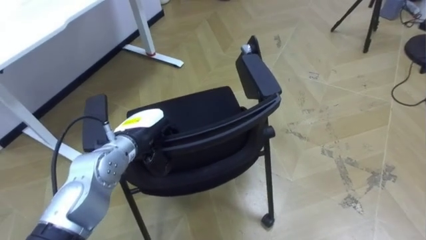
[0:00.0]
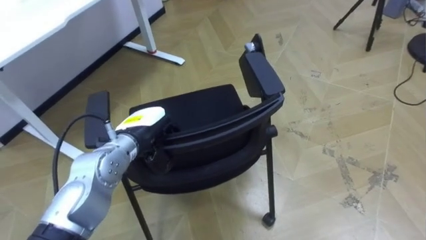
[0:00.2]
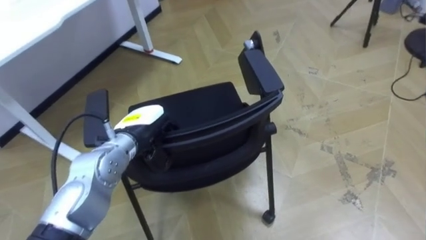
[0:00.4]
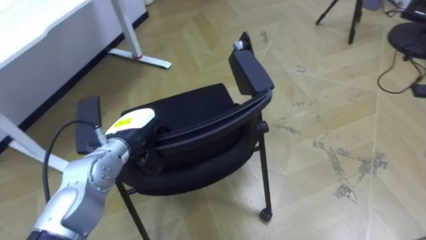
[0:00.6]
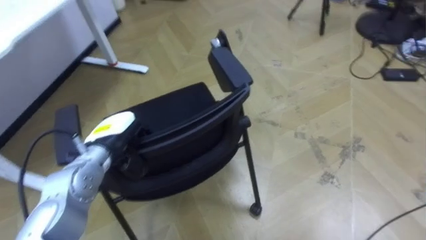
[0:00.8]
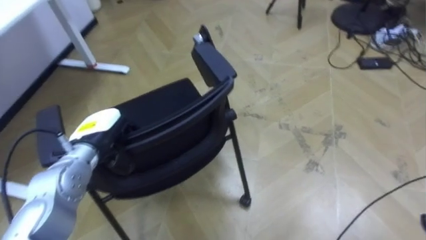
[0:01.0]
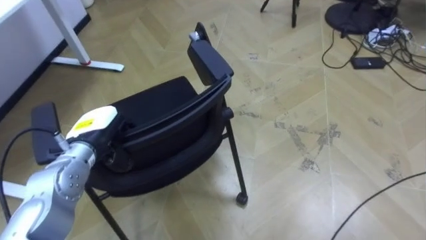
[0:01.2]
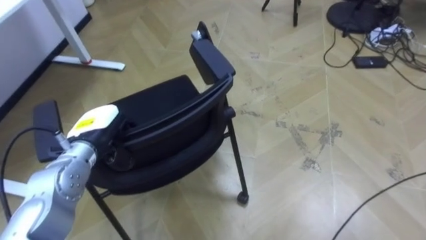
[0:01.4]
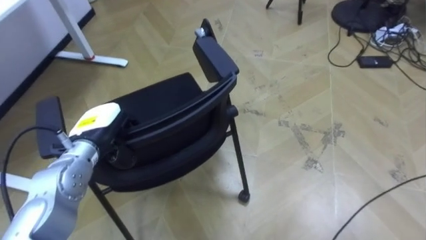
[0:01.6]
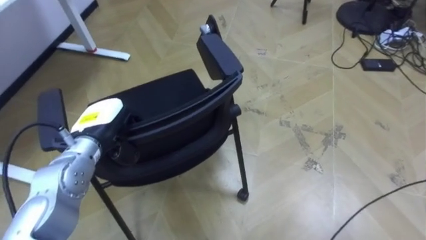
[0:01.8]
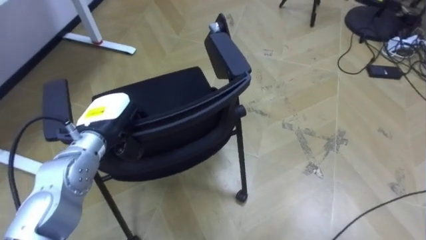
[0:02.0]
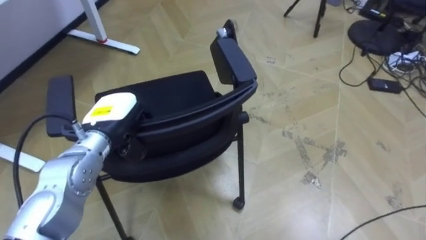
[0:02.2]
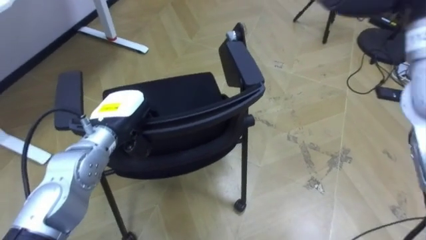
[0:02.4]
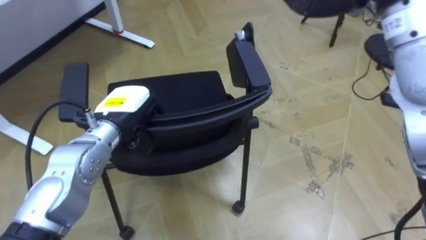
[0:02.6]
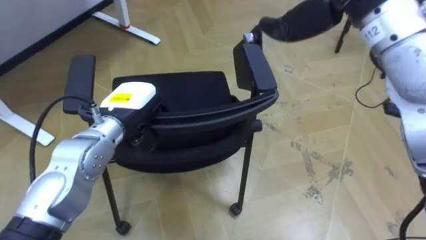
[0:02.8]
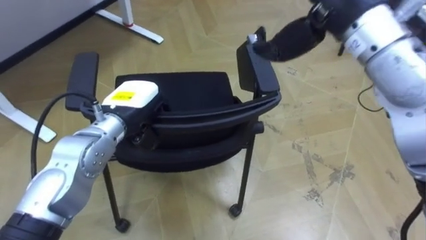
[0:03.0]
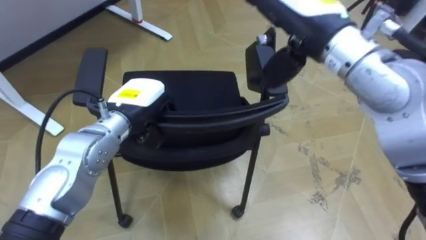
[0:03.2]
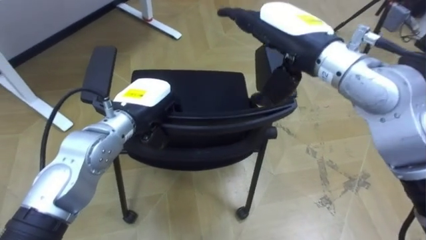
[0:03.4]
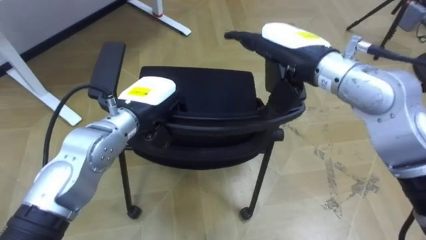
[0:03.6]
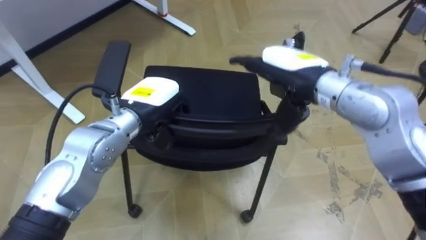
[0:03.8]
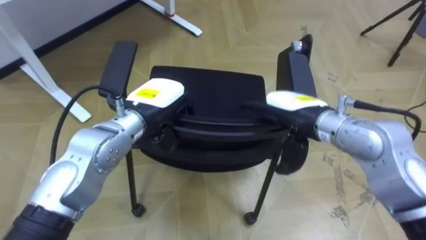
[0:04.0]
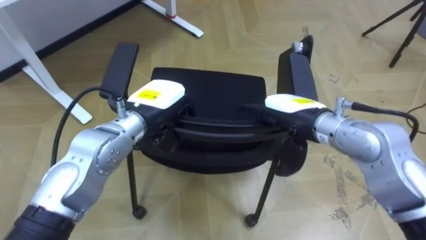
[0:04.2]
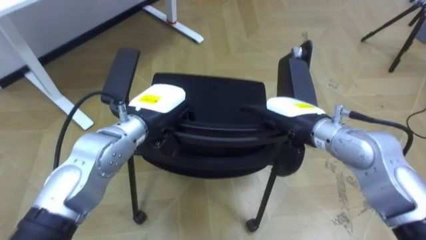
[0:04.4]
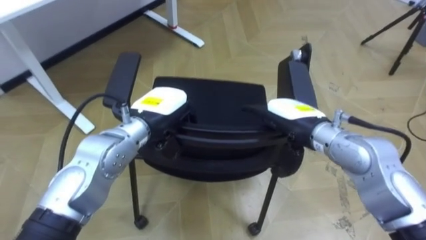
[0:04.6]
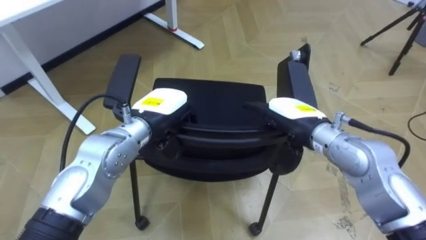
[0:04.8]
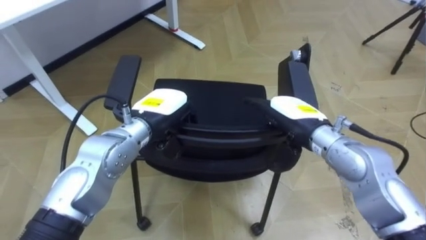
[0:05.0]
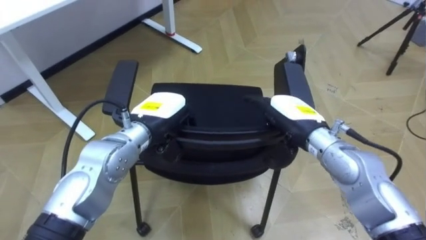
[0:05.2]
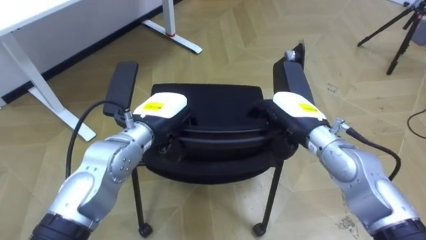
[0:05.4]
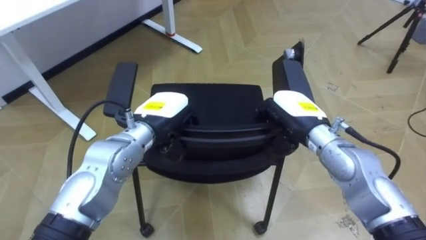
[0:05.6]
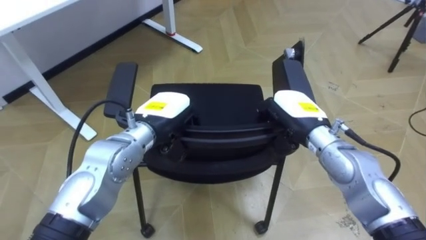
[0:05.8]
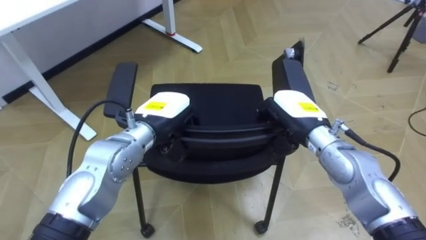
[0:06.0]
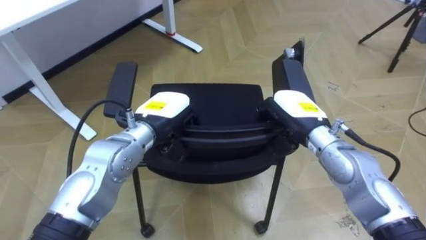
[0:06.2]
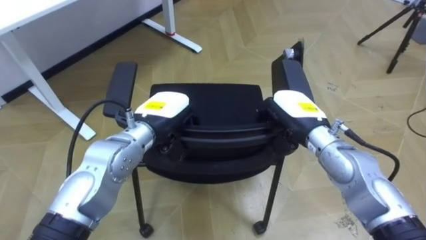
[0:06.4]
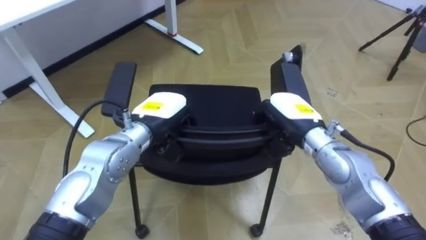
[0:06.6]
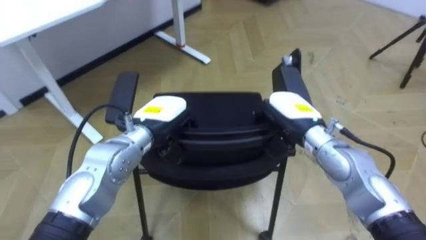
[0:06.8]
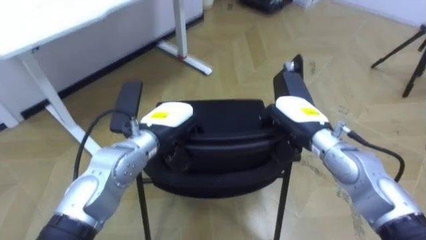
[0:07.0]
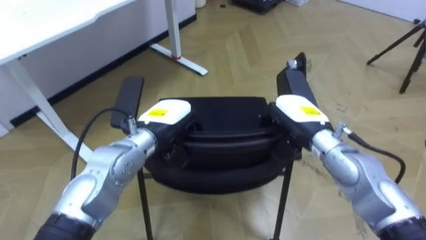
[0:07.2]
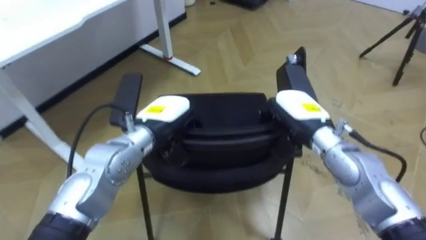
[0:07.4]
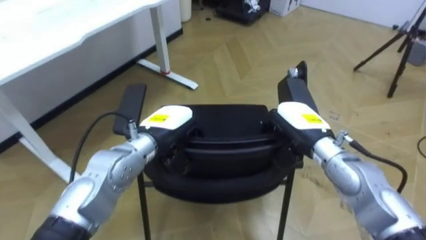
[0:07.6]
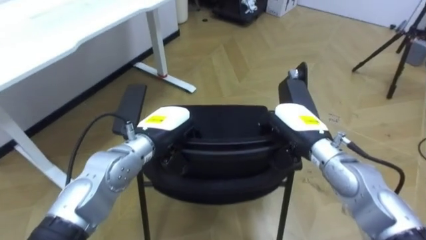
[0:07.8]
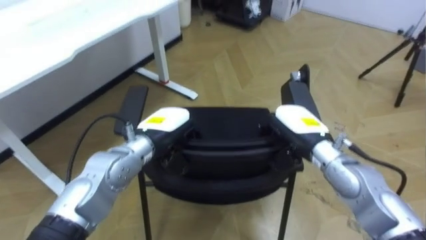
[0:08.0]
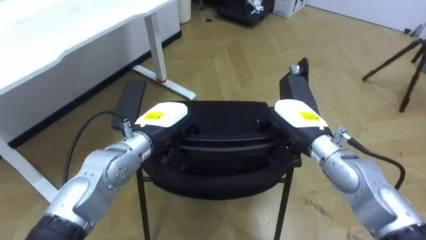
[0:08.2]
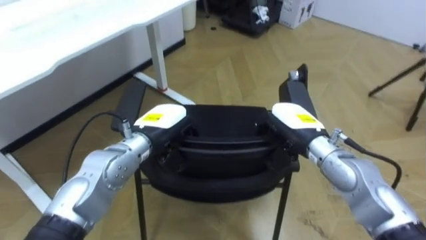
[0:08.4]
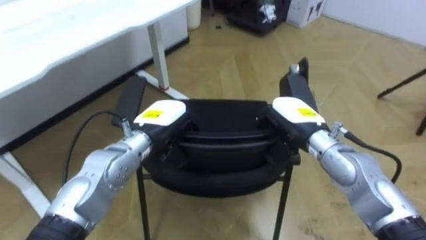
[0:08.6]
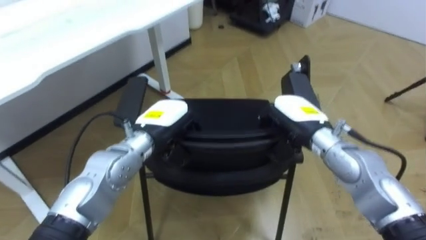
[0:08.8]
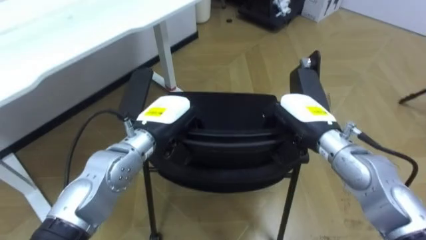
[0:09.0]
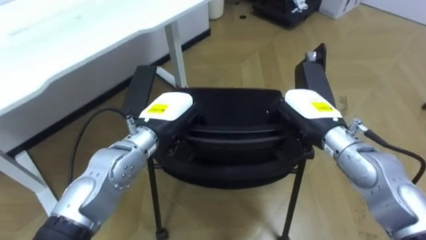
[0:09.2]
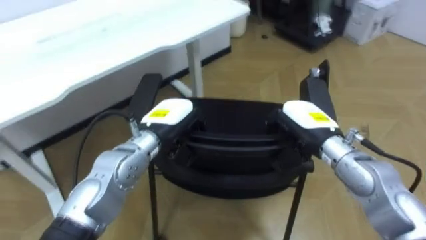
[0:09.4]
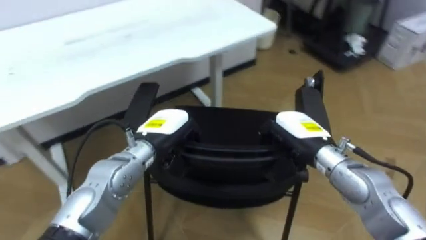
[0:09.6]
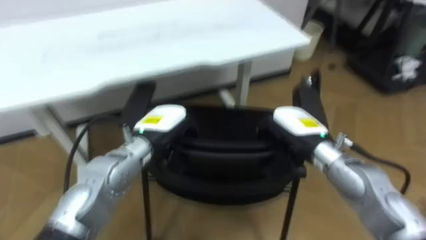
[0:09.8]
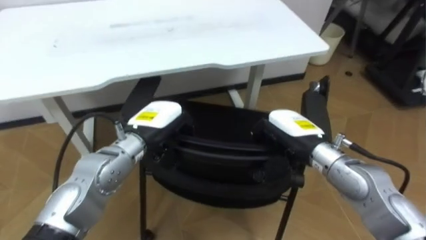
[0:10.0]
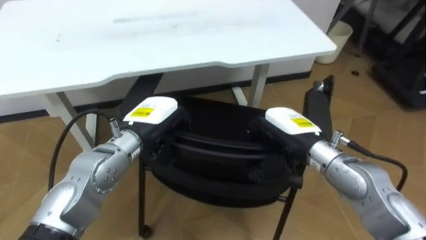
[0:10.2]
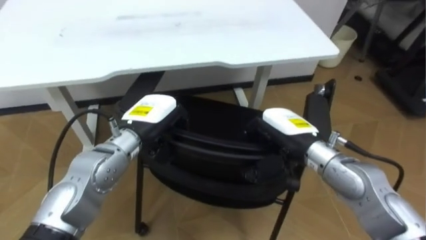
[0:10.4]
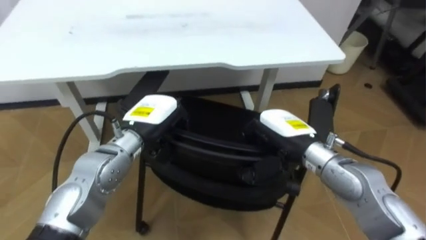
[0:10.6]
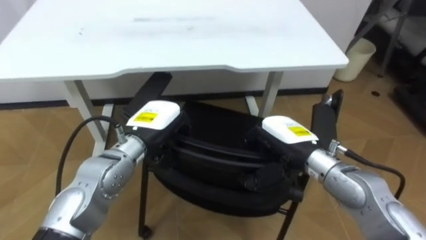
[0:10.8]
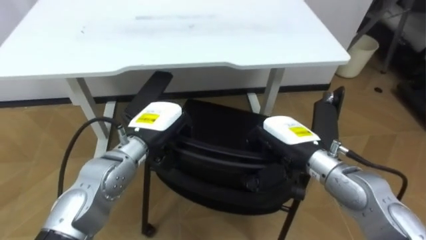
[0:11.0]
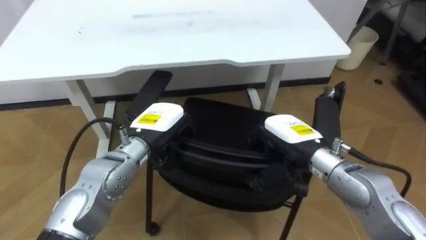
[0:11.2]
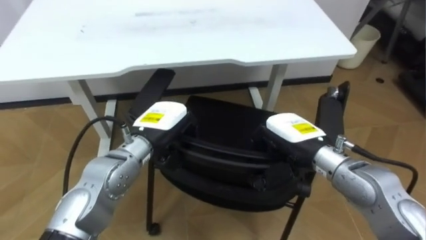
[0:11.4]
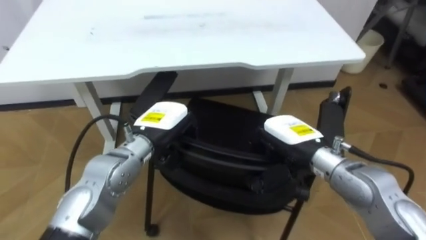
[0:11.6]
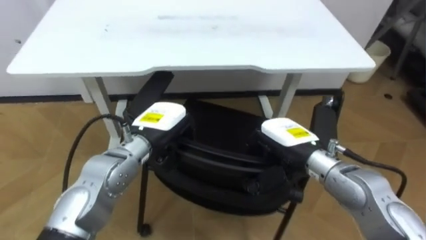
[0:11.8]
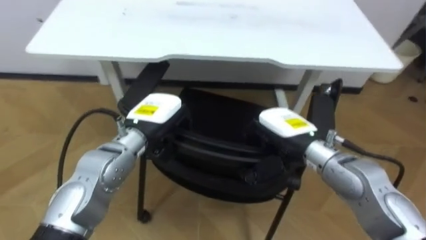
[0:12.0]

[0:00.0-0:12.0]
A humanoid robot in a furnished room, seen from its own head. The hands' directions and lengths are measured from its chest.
Task of the whole recording: Push the chair under the table.
0:00.0 to 0:01.6: The left hand heads to the left, covering about 5 cm.
0:01.6 to 0:03.0: The left hand shifts roughly 5 cm to the right.
0:04.4 to 0:06.0: The right hand closes.
0:09.0 to 0:10.4: The robot faces about 35 degrees further to its left.

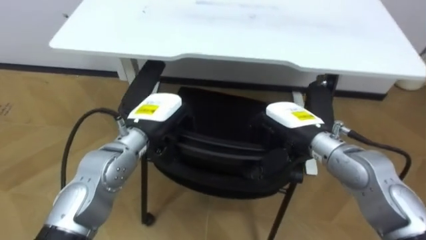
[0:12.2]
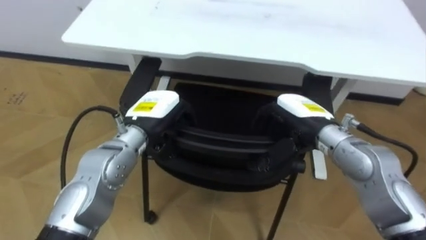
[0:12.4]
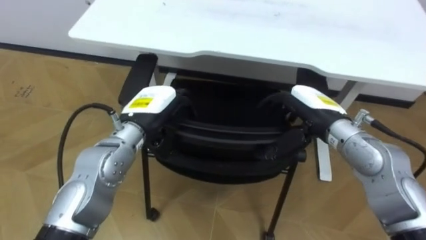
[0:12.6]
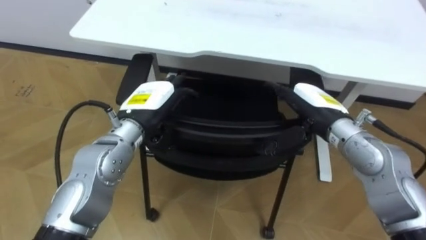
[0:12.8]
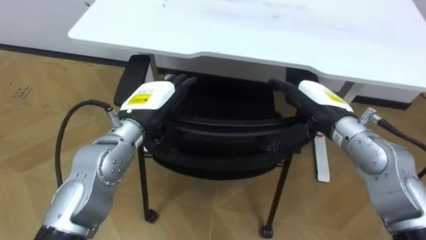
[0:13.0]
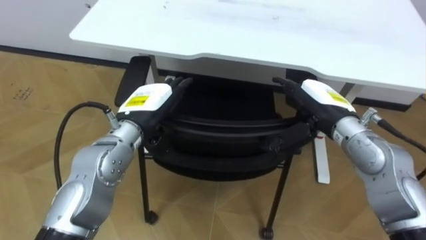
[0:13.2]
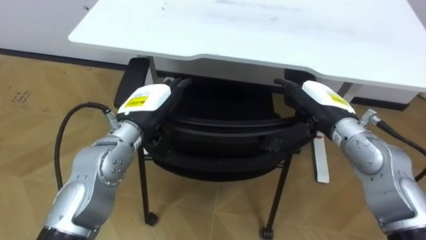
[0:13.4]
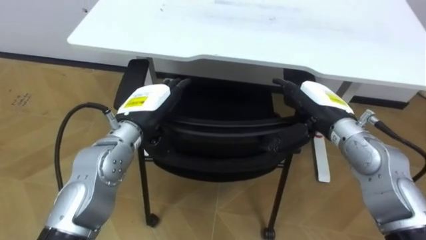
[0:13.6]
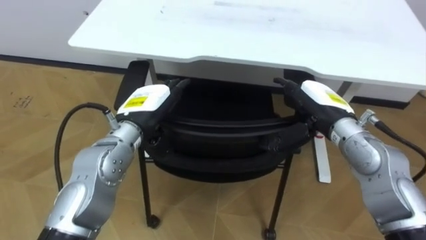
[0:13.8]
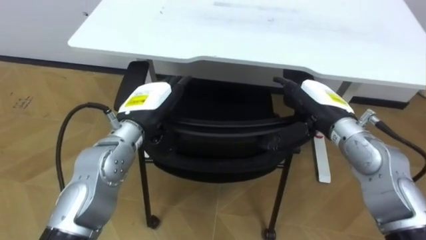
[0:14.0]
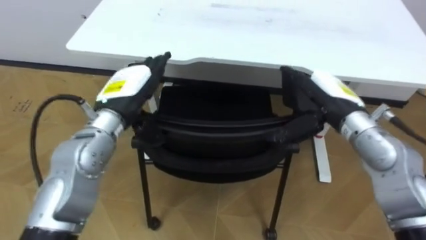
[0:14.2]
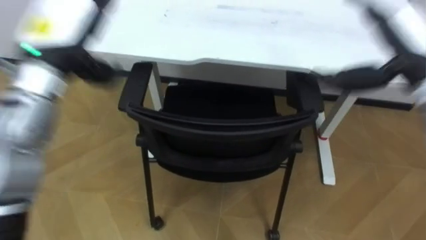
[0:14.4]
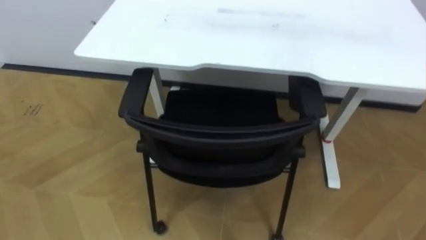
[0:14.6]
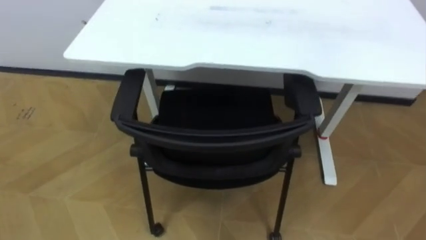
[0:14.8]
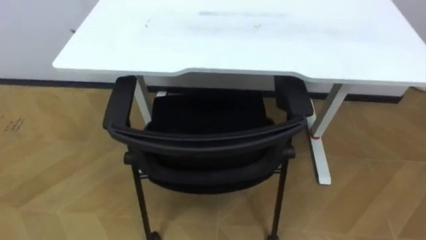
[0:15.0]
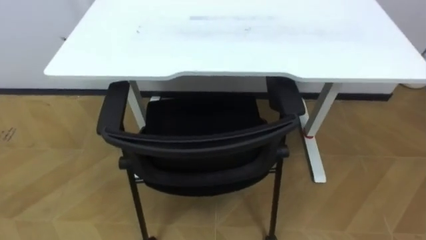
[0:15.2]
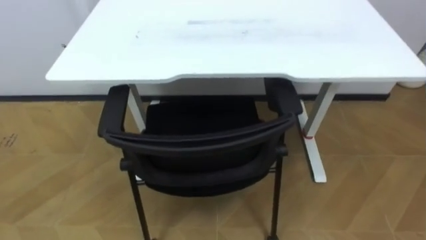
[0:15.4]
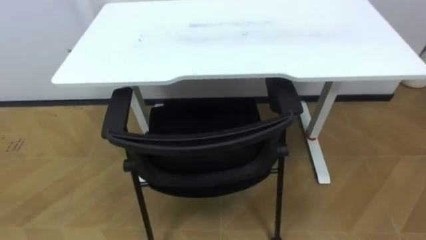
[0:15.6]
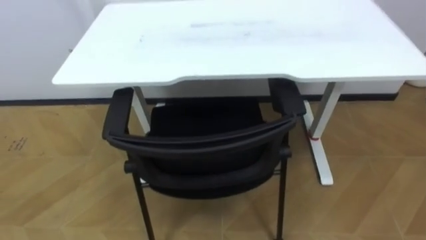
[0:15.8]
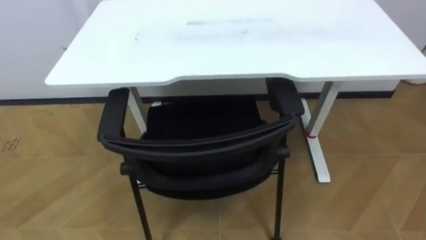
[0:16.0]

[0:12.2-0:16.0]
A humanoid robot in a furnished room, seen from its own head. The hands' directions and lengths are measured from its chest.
Task of the whole recording: Push the chair under the table.
0:12.2 to 0:13.4: The right hand travels to the right by some 5 cm, and opens up. The left hand opens its fingers.

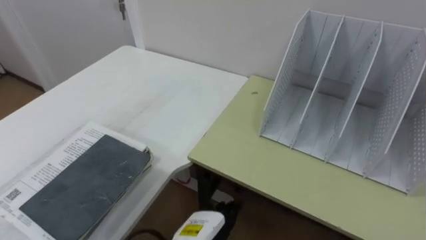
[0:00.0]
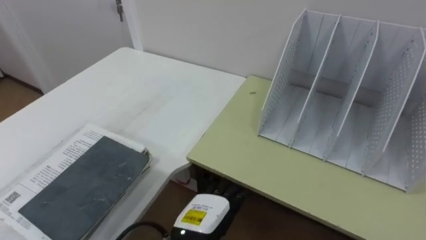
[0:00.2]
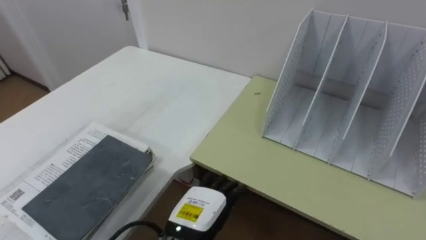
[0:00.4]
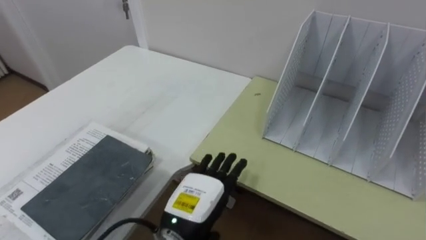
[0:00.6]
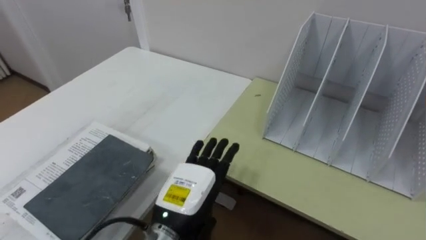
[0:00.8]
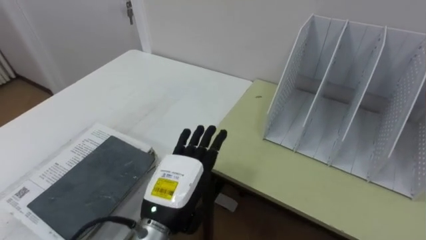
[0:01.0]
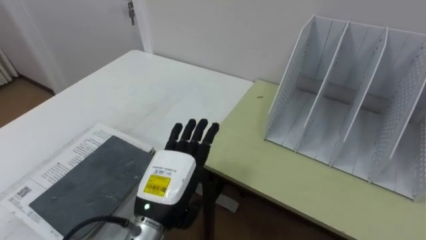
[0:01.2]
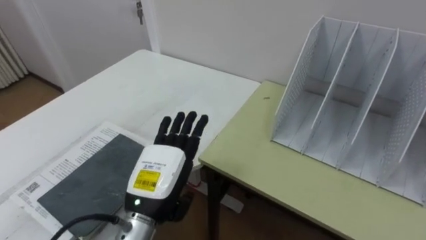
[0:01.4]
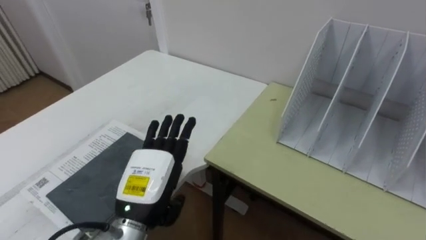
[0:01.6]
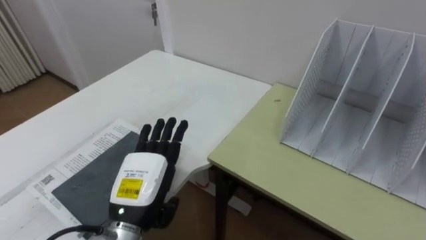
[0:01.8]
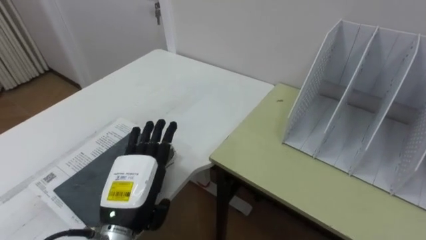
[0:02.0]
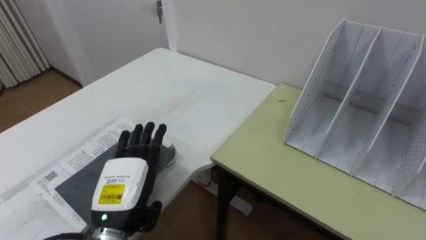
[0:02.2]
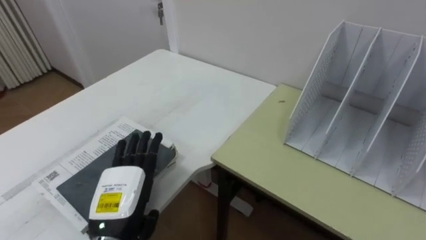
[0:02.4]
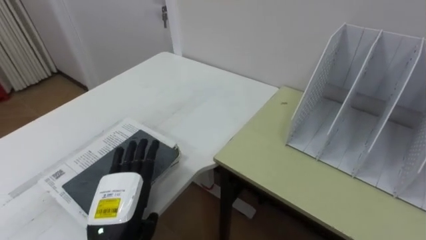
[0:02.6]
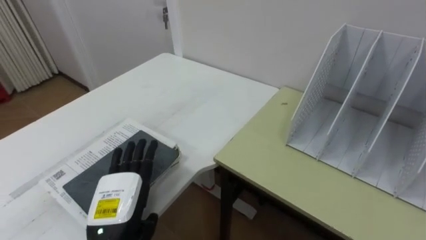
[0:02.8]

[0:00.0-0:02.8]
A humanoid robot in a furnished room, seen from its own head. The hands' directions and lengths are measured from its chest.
Task of the whole recording: Put the books on the table onto the bookshelf.
0:00.0 to 0:01.4: The left hand moves upward and to the left, roughly 15 cm.
0:01.4 to 0:02.8: The left hand goes roughly 5 cm to the left.
